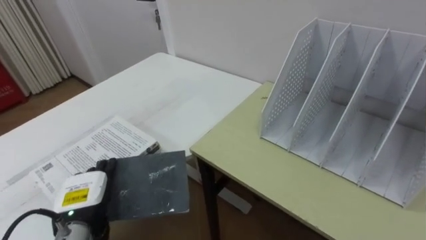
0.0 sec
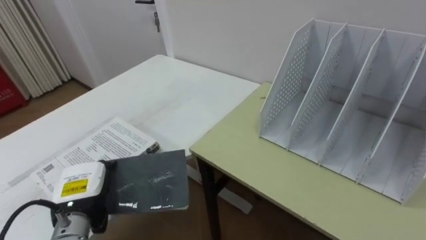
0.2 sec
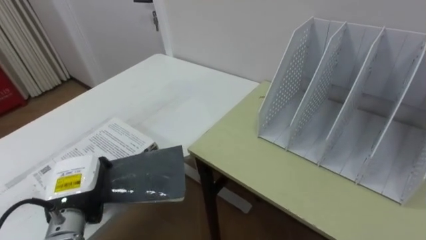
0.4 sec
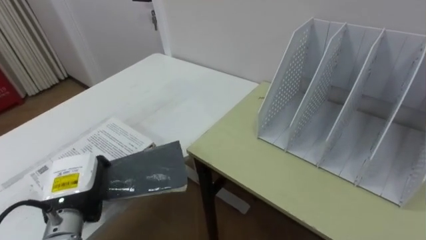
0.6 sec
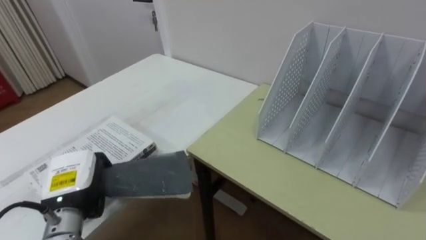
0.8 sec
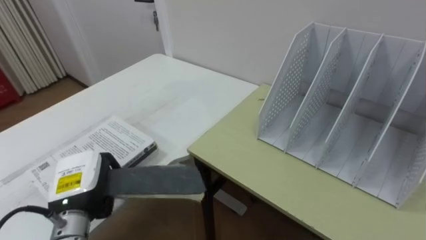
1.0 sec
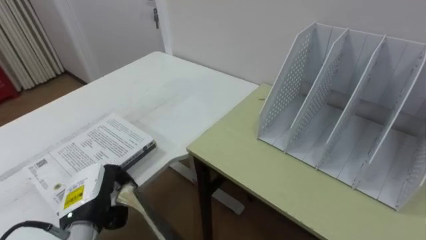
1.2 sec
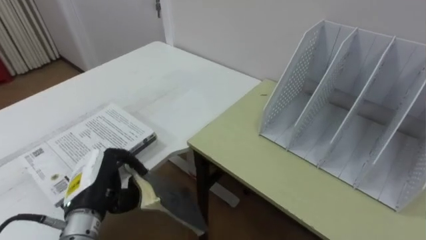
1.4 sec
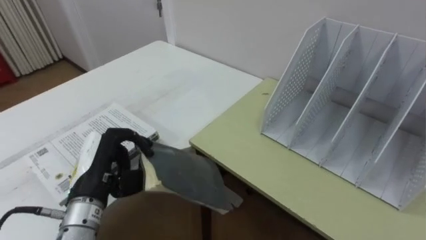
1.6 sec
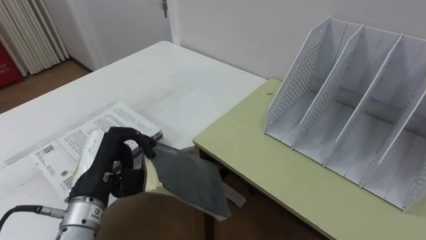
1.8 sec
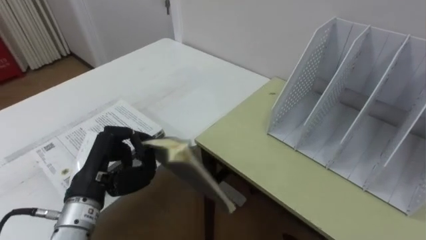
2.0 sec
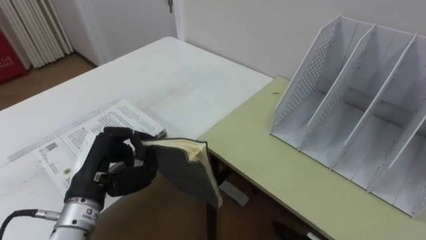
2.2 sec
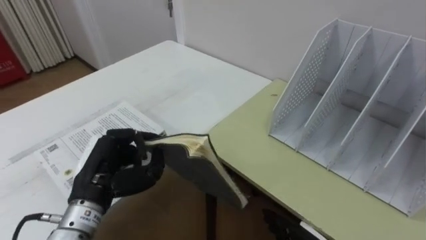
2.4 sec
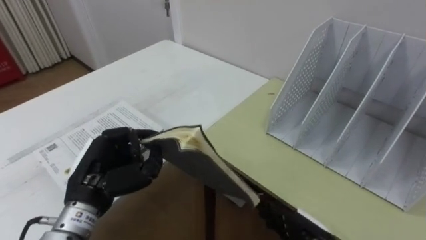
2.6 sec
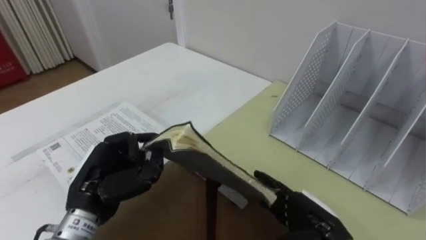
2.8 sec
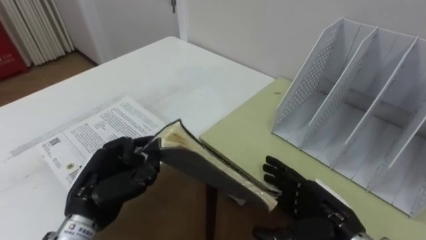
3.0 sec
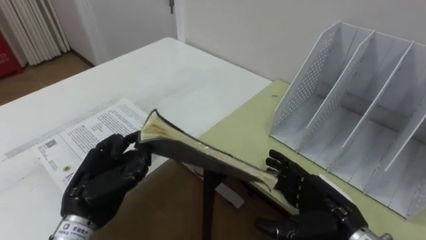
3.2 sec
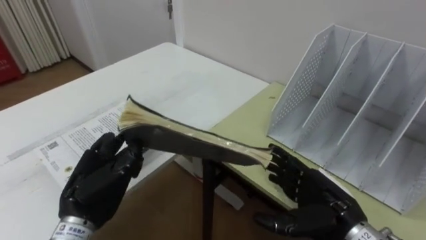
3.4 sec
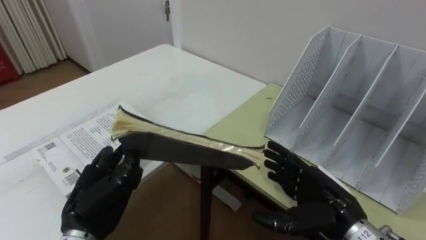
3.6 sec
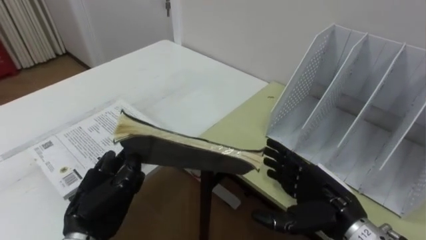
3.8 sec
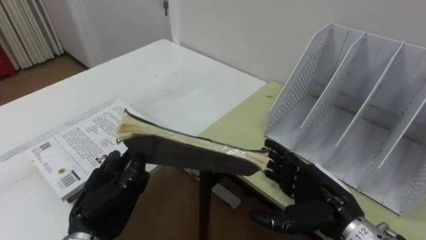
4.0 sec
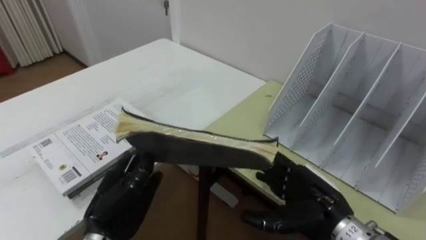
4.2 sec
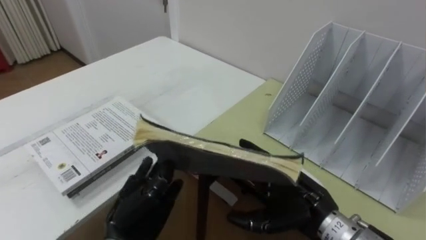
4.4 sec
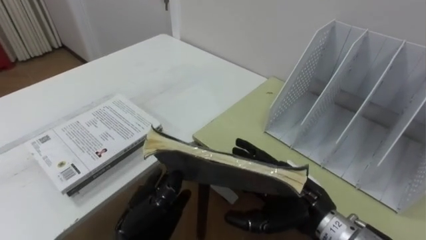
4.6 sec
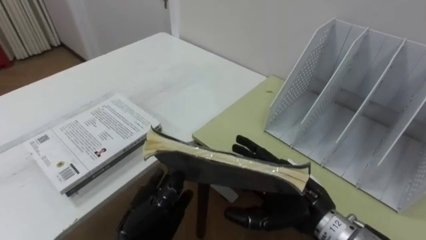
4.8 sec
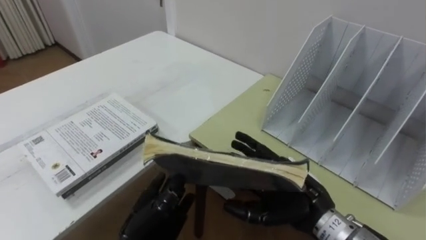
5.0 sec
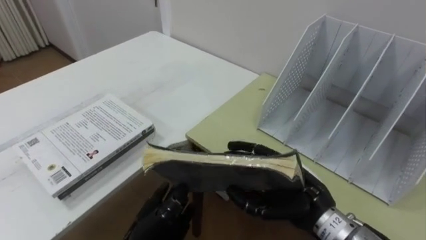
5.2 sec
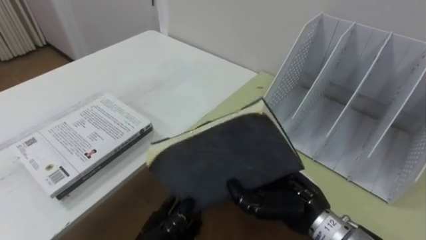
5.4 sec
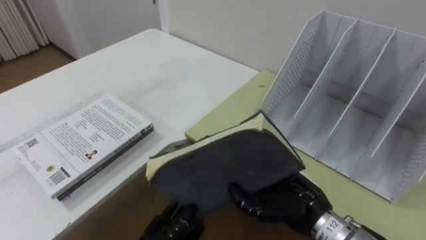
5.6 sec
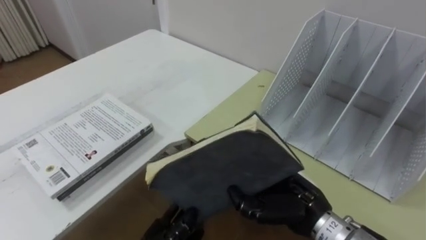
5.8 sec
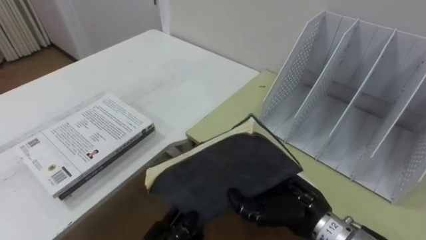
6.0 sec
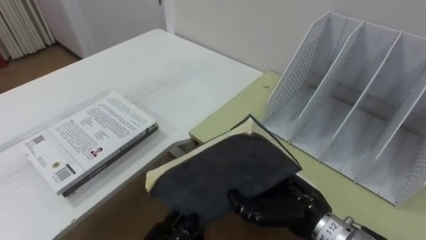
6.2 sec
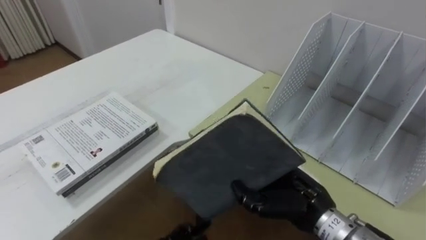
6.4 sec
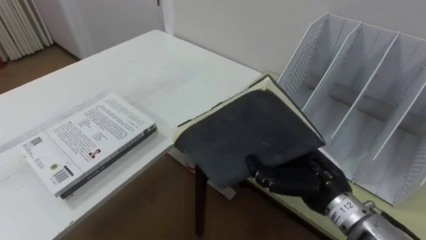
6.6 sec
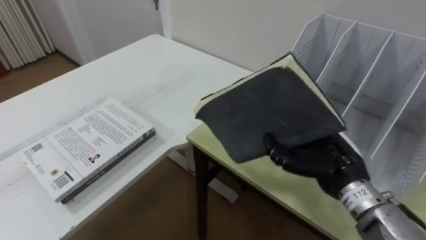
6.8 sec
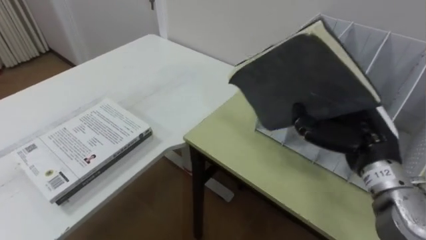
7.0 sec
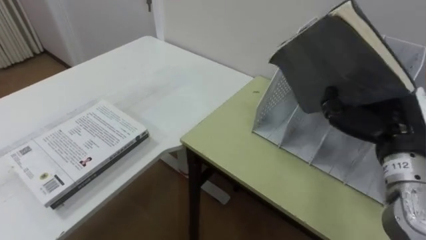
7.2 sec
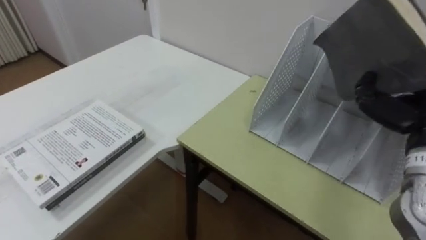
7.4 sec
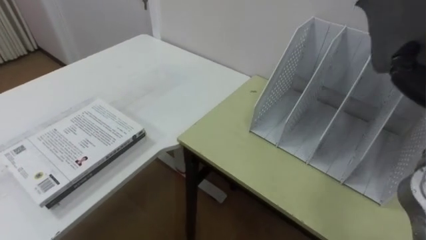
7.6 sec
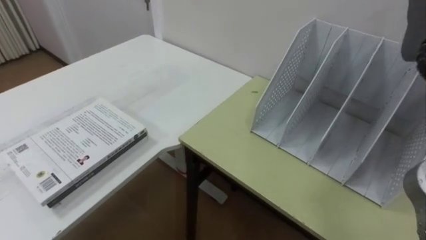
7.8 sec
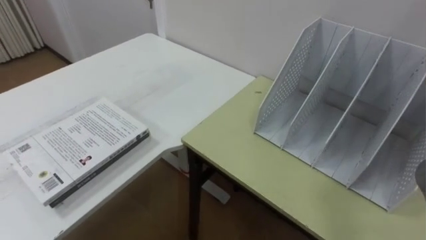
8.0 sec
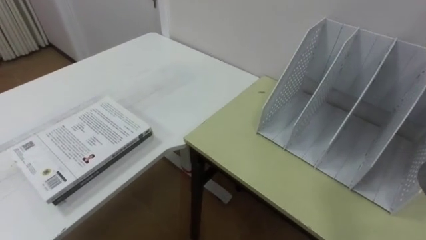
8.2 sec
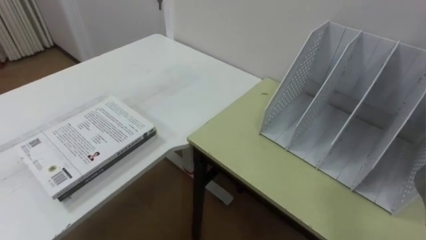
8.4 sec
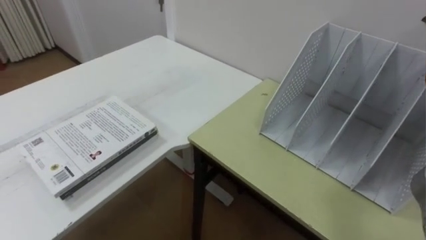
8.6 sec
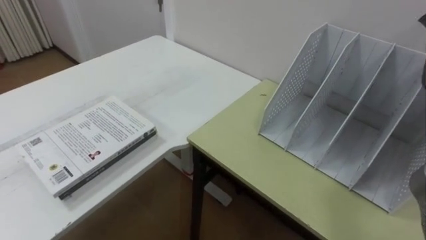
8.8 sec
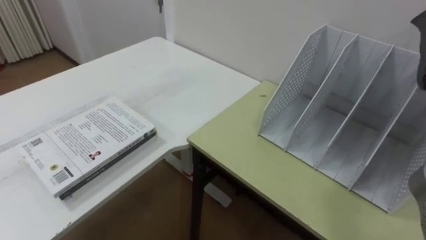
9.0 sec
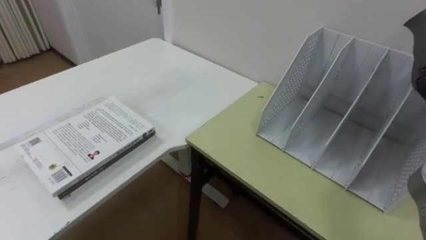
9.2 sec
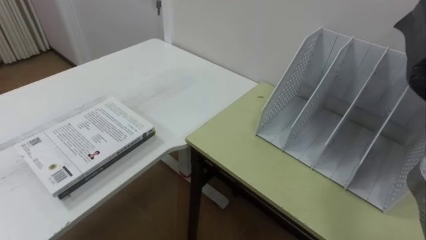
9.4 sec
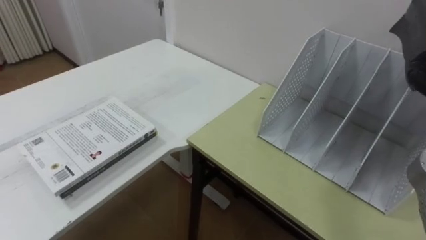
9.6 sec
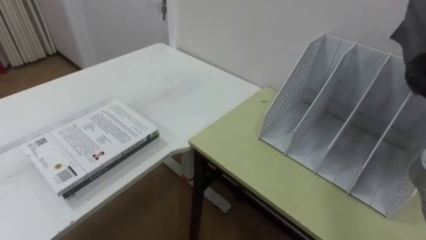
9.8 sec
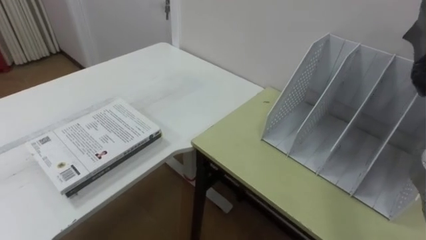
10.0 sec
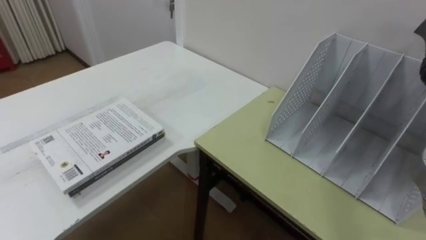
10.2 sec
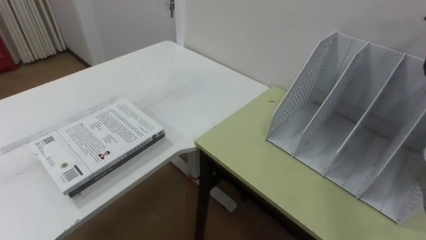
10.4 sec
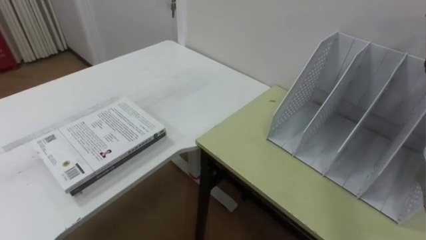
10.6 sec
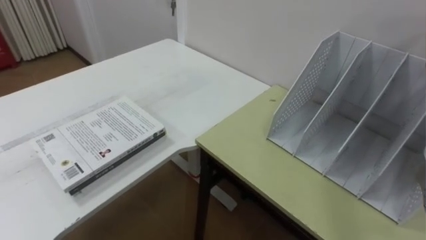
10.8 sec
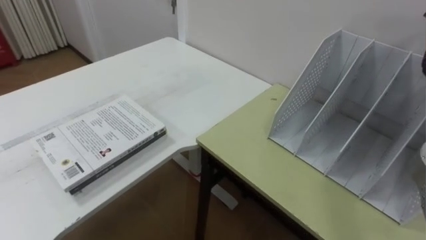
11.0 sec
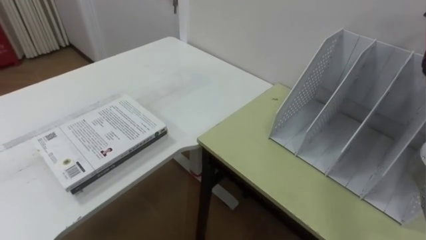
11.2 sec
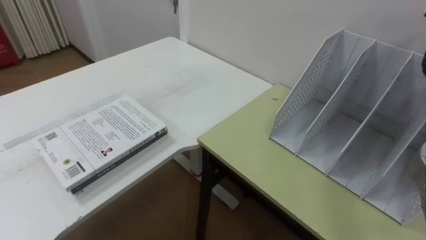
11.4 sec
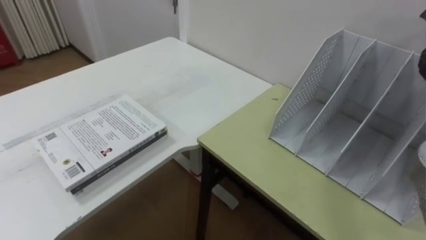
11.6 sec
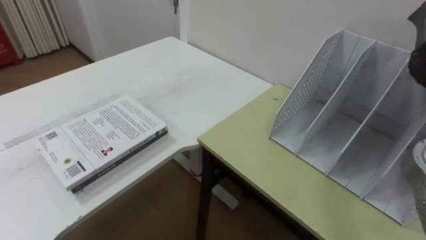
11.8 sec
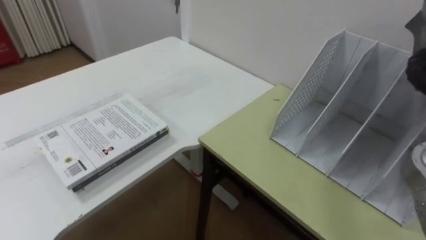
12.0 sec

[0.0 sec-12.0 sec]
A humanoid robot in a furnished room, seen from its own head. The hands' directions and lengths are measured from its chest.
Task of the whole recording: Put the books on the table onto the bookshelf.
0.0 sec to 1.6 sec: The left hand is displaced upward by approximately 10 cm, and closes up.
3.0 sec to 4.4 sec: The right hand moves roughly 5 cm. The left hand heads to the right, covering approximately 5 cm.
4.4 sec to 6.0 sec: The right hand closes.

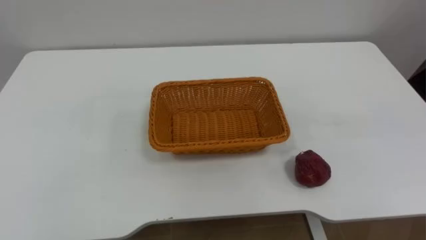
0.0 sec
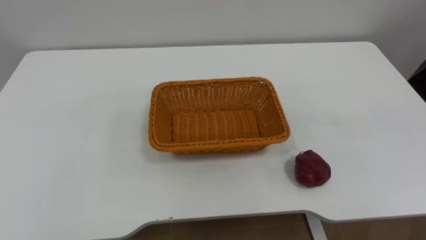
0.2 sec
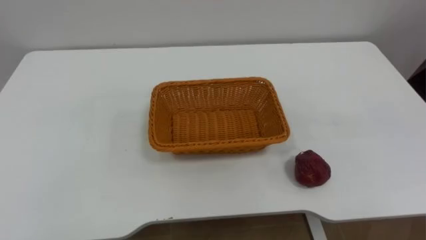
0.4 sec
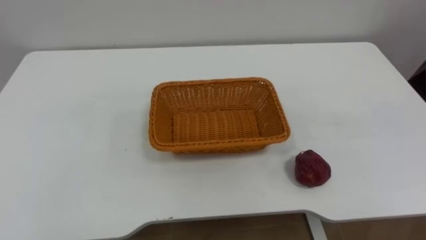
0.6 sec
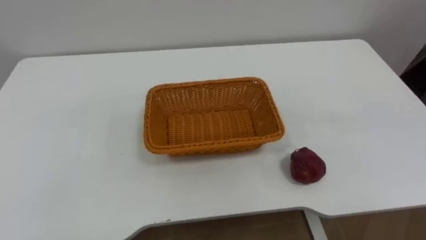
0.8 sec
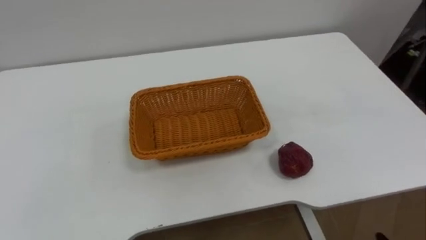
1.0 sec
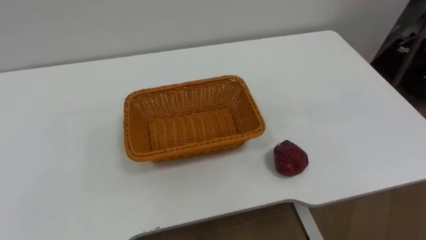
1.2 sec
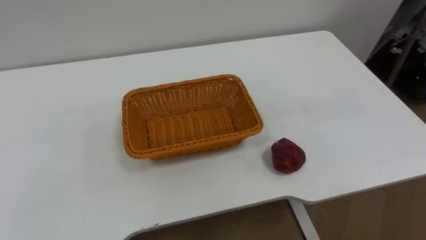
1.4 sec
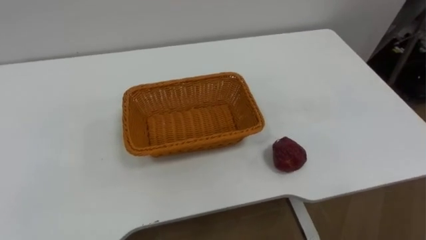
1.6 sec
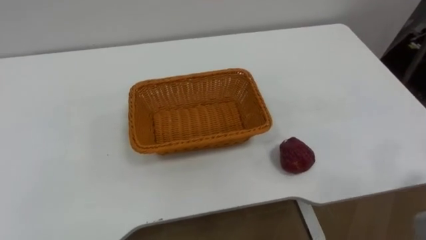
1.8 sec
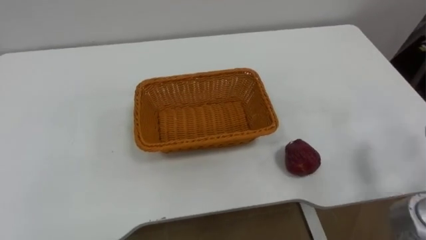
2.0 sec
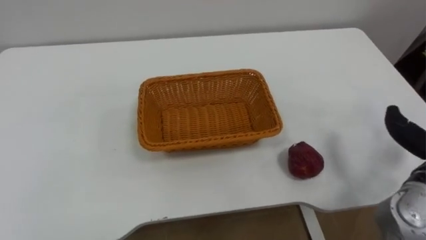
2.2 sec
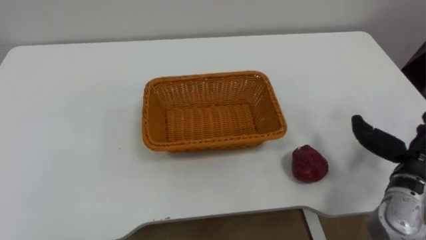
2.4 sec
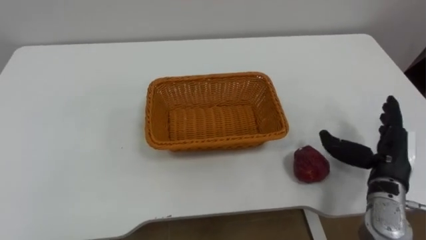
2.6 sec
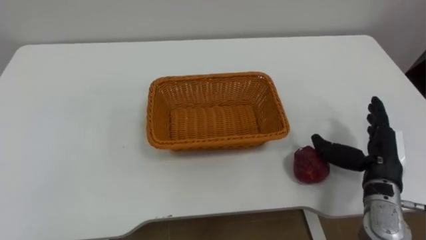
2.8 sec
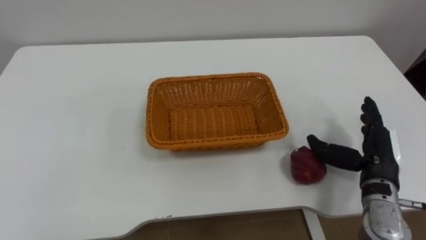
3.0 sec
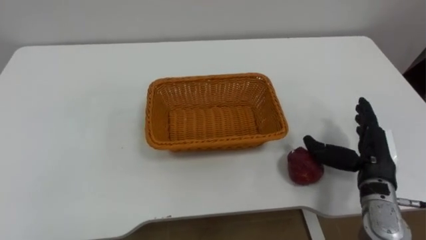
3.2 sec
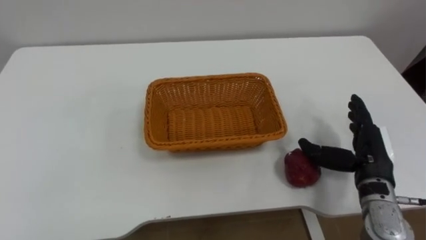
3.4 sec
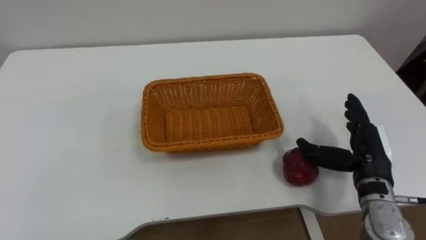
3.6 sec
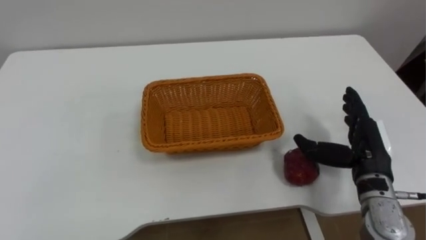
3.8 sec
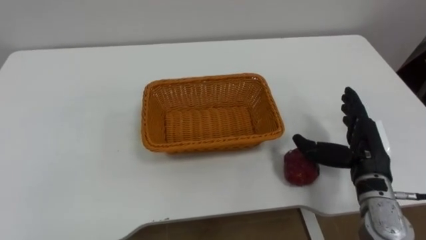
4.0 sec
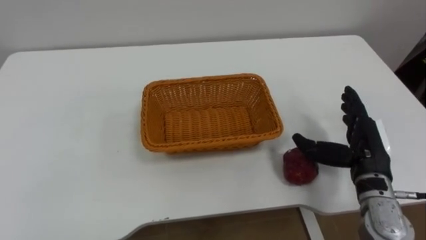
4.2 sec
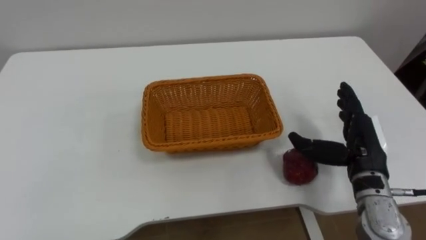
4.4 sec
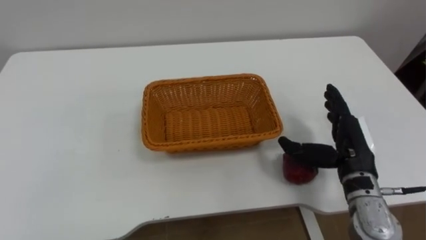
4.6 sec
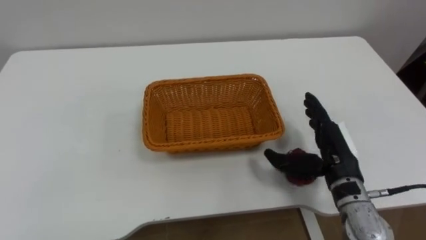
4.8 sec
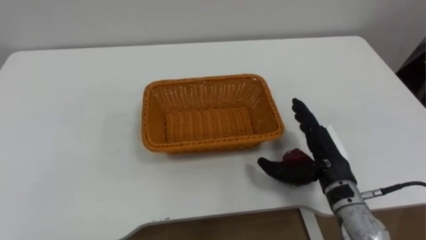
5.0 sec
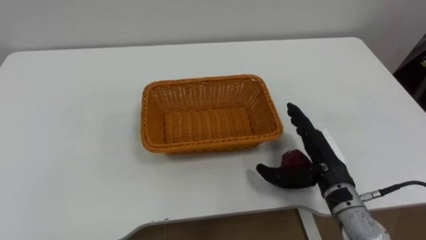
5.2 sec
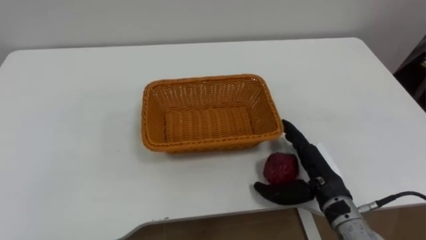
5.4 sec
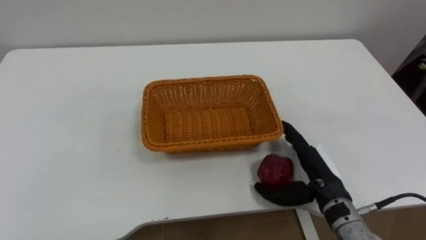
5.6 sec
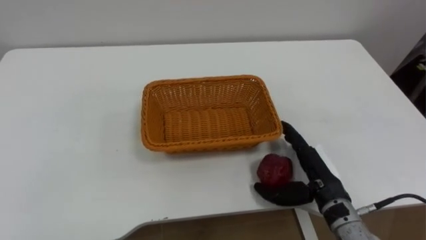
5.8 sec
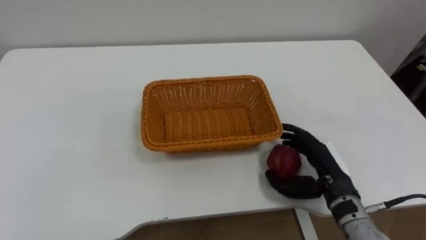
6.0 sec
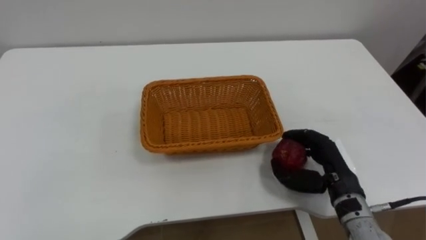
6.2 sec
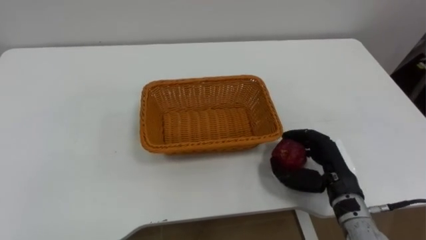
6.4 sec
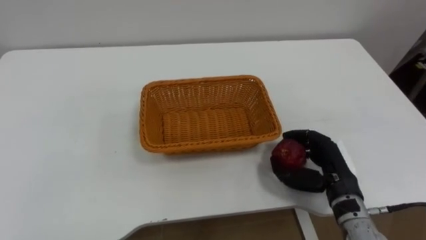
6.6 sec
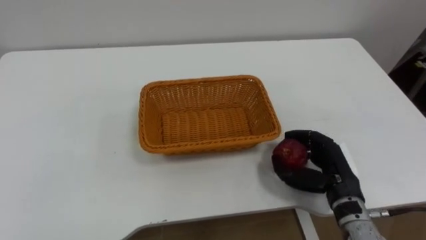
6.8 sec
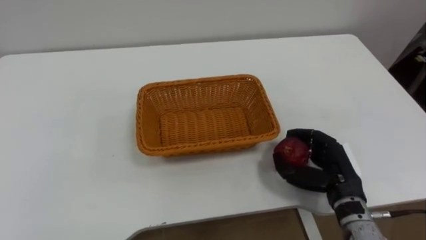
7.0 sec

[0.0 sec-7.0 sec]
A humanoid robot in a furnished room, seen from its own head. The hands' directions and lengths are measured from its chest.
Task of the whole recording: Pick the apple and place it in the box.
4.2 sec to 5.6 sec: The right hand moves to the left, about 5 cm.
5.6 sec to 7.0 sec: The right hand closes.
